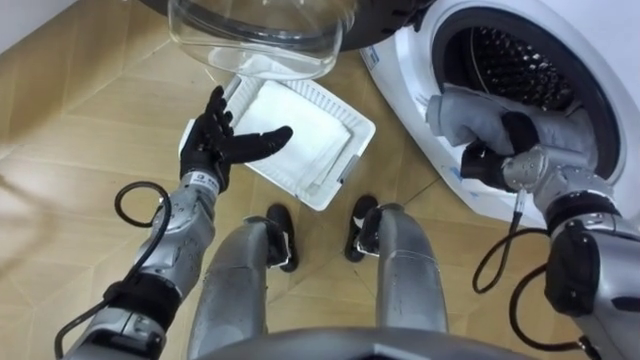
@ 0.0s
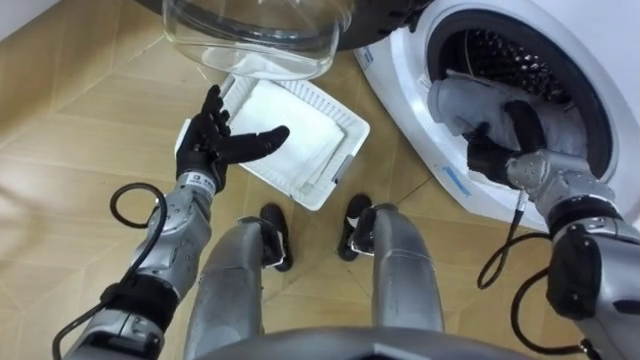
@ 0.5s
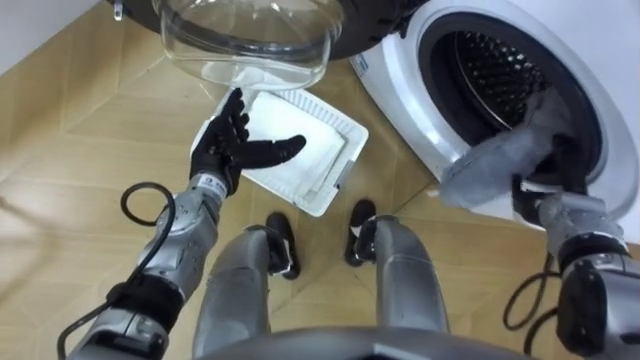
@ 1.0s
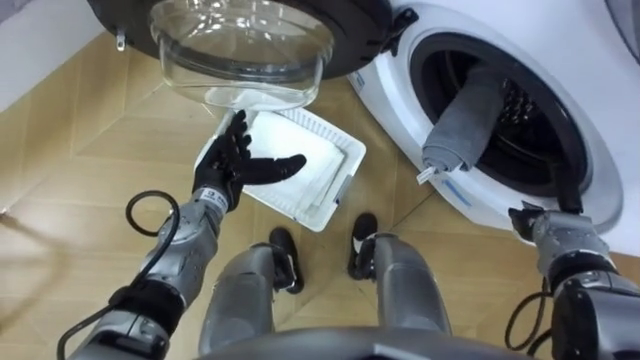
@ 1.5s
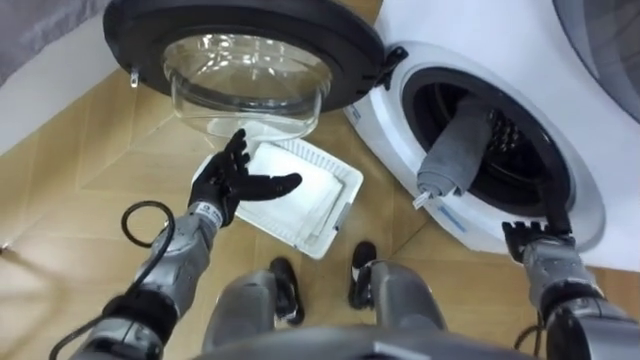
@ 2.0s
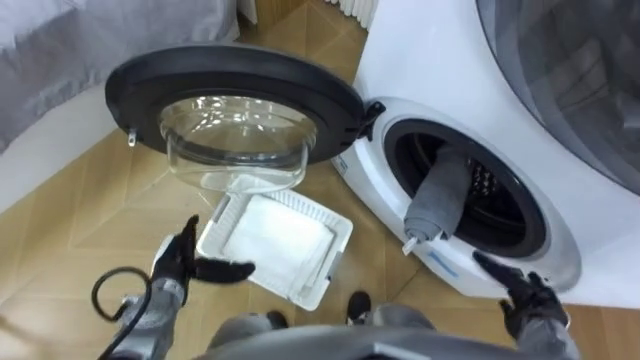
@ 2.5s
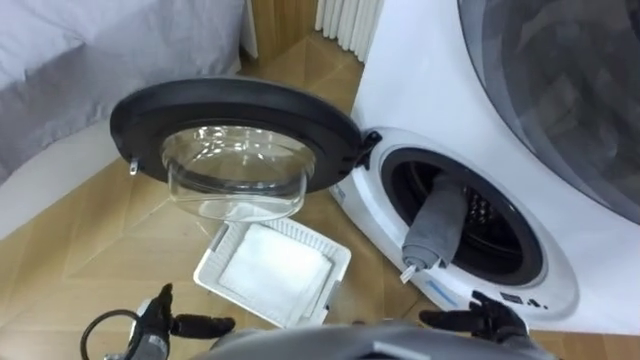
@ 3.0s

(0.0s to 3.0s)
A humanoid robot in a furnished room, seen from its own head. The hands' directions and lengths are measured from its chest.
Task of the whole recording: Take the towel from the basket and put it into the washing machine.
0.0s - 1.5s: The right hand heads to the right and backward, covering some 10 cm, and opens up.
1.5s - 3.0s: Both hands travel together backward, downward and to the left, approximately 20 cm.

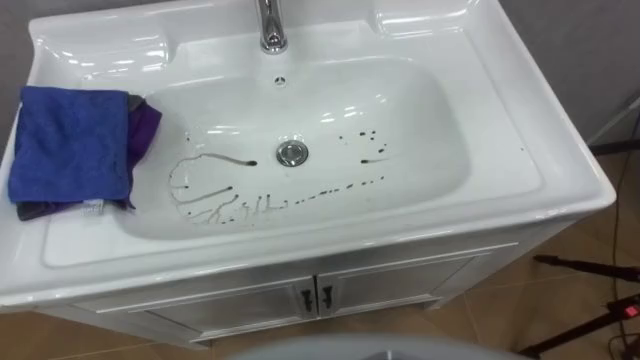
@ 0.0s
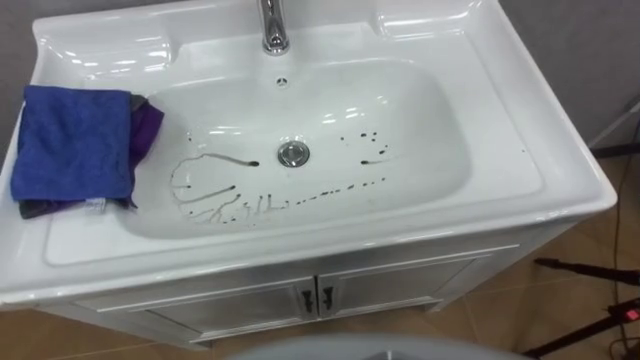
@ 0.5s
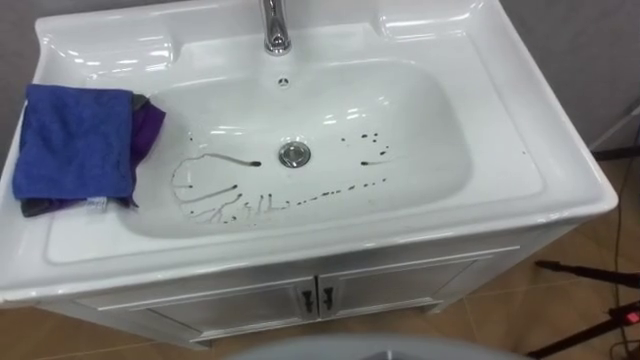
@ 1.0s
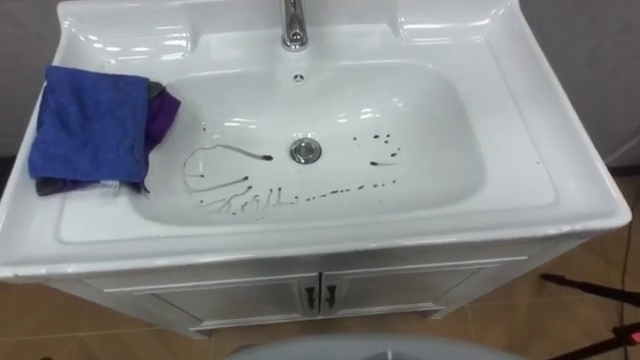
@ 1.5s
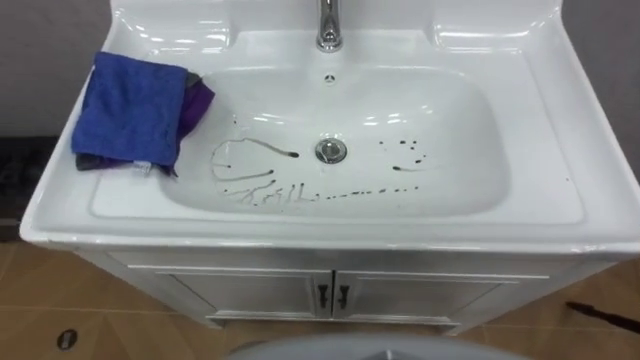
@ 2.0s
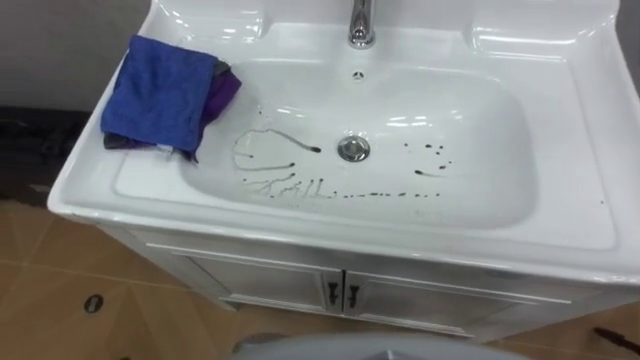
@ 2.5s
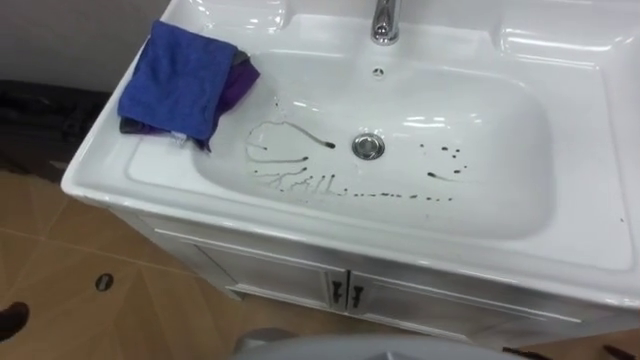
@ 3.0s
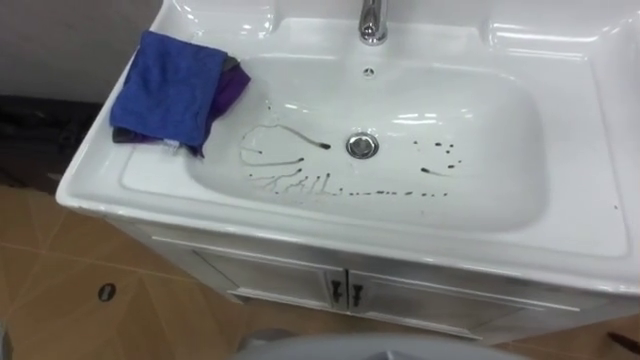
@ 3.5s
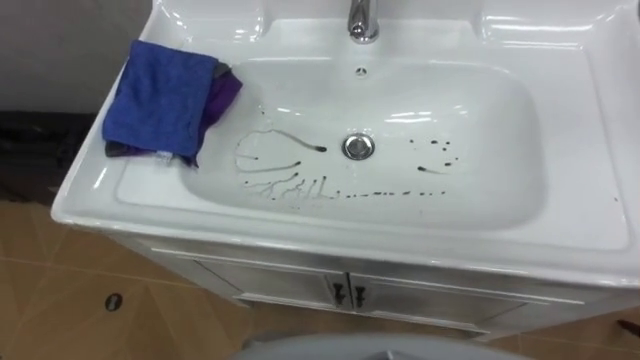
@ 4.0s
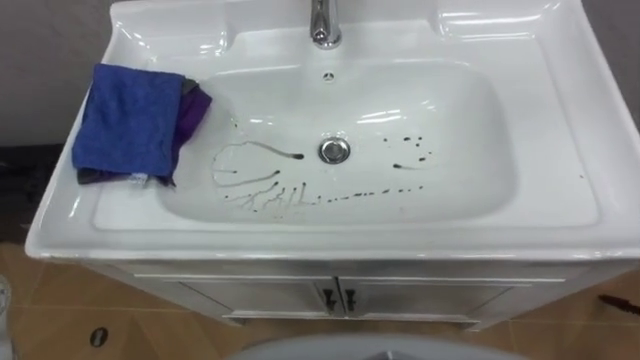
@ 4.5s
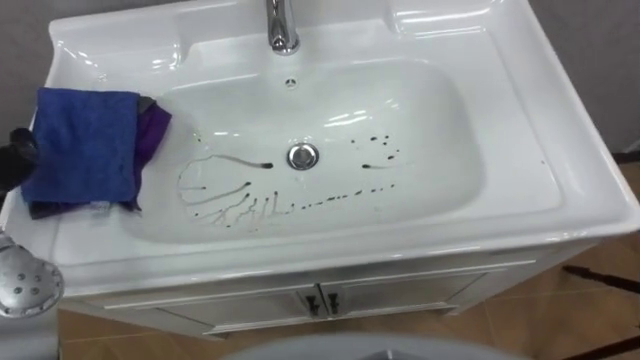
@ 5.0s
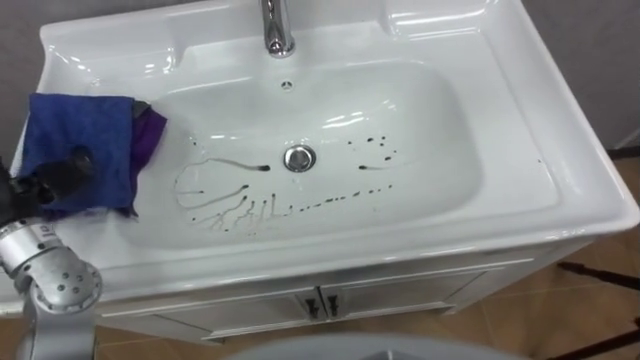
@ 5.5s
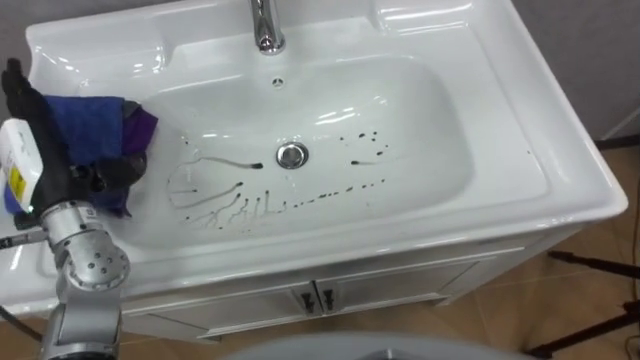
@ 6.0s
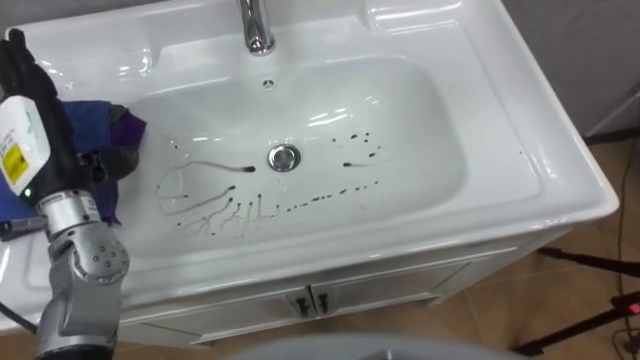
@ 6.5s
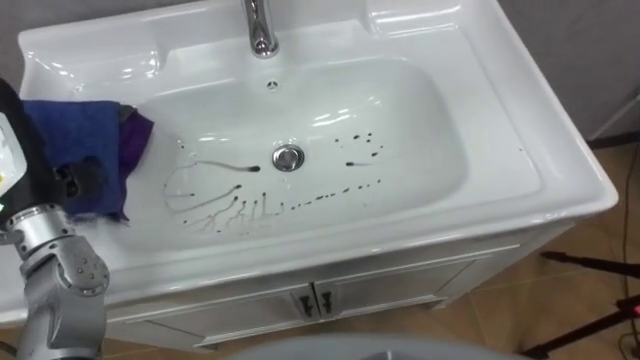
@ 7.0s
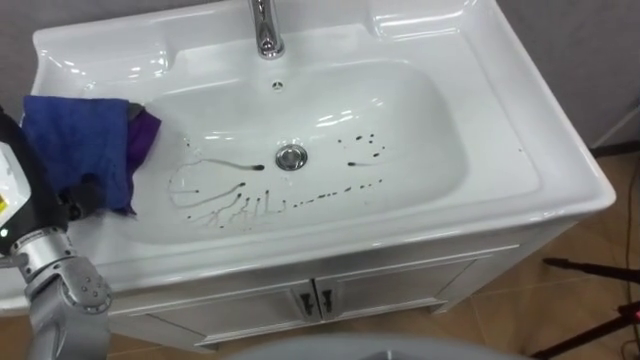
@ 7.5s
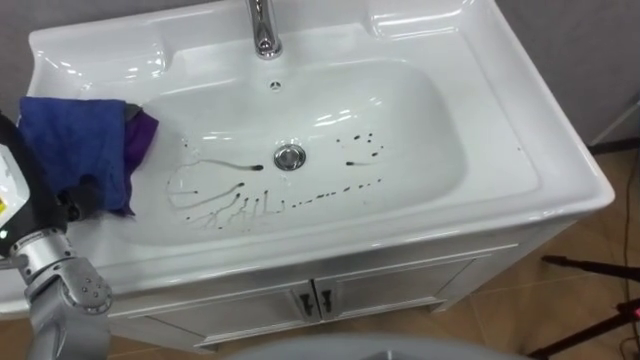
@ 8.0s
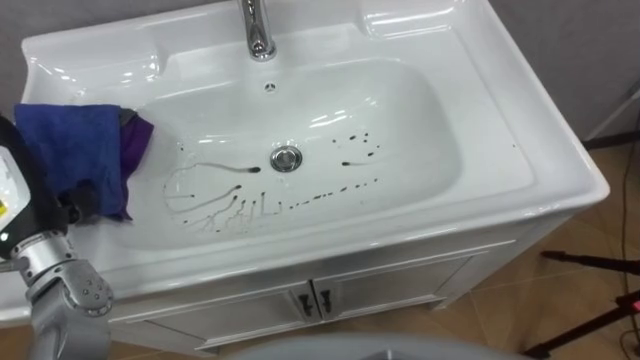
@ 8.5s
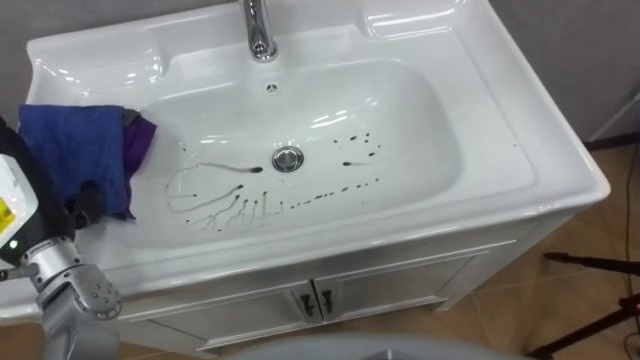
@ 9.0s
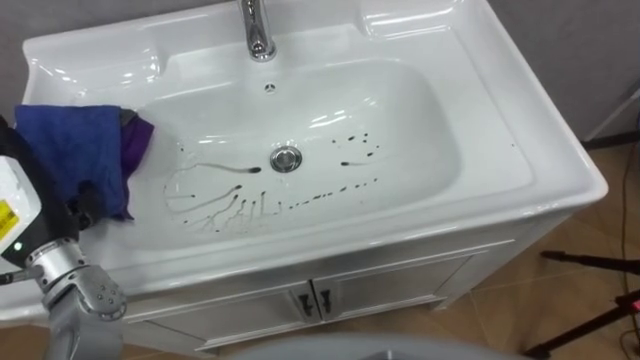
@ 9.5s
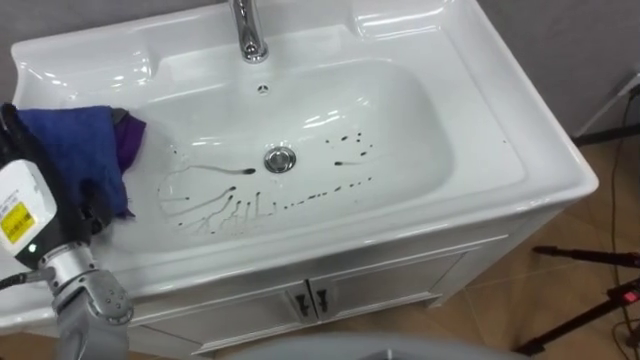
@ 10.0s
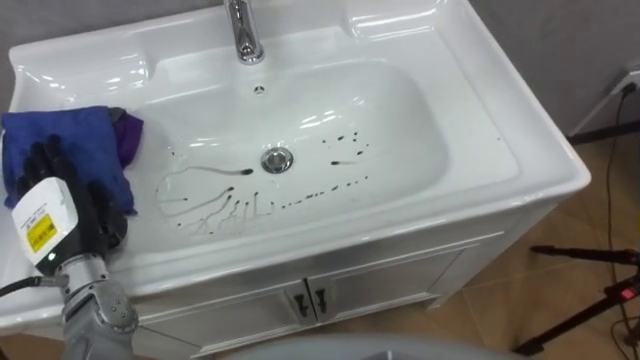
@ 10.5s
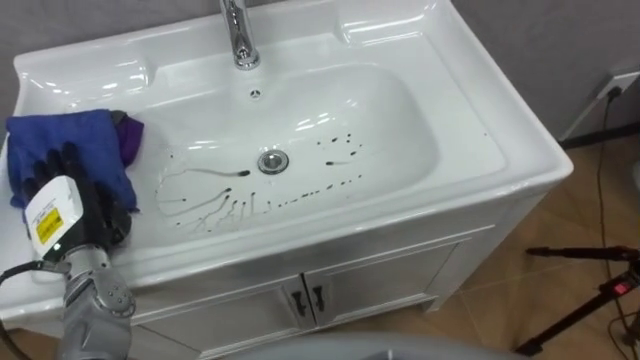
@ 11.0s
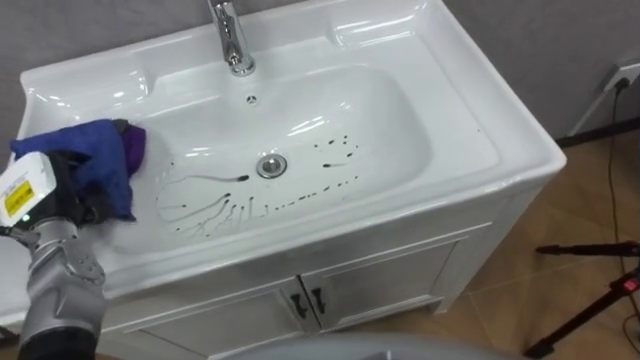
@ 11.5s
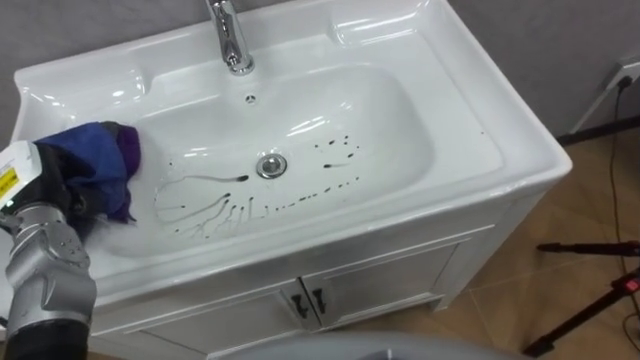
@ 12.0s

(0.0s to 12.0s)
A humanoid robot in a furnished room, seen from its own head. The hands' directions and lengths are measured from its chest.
Task of the whole recording: Use the cloth on the right to wipe away the black stain in the sink.
10.0s - 12.0s: The left hand shifts by some 5 cm, and closes.

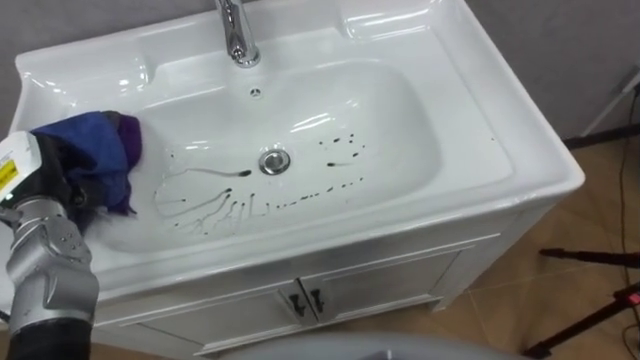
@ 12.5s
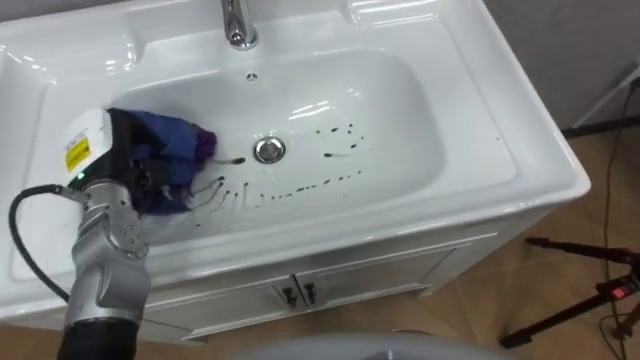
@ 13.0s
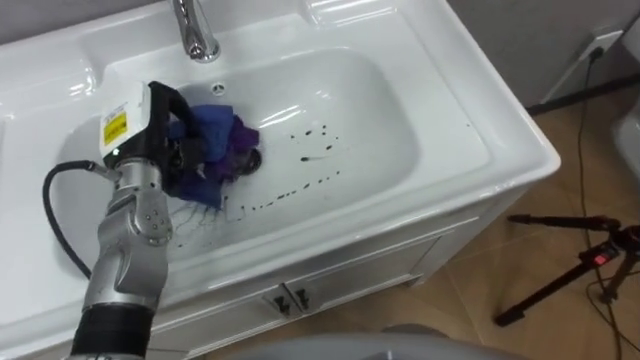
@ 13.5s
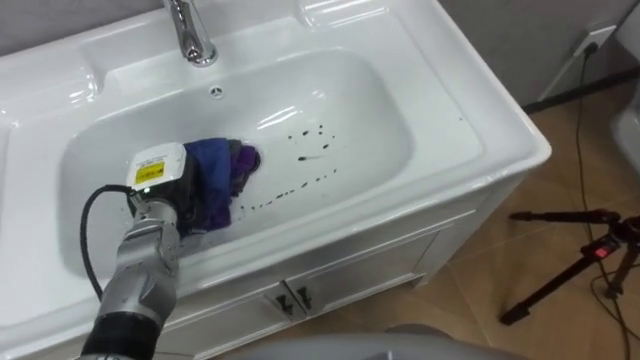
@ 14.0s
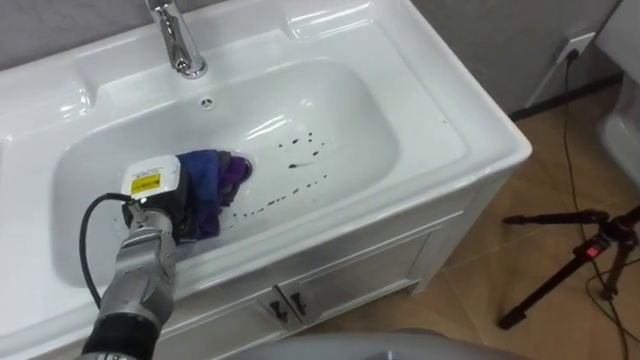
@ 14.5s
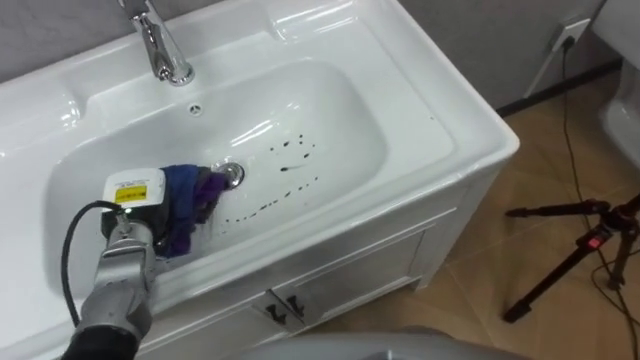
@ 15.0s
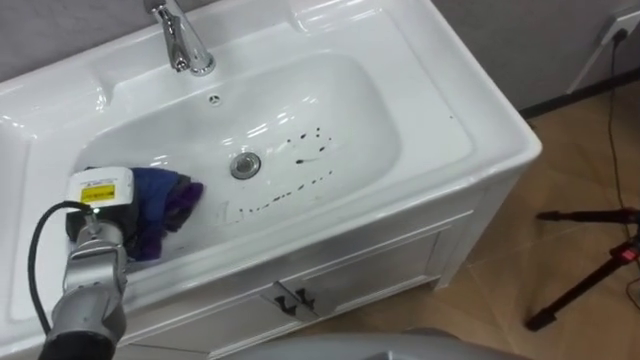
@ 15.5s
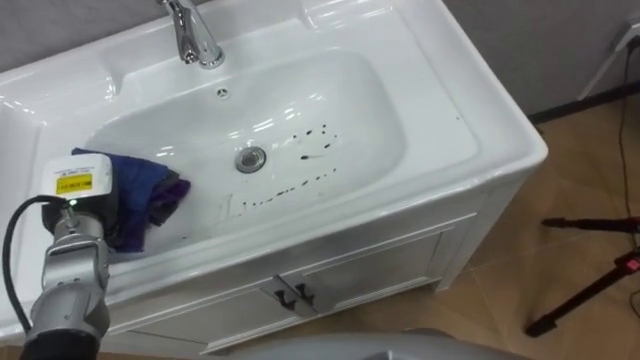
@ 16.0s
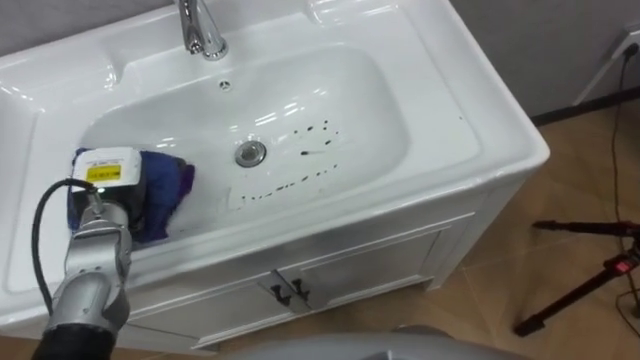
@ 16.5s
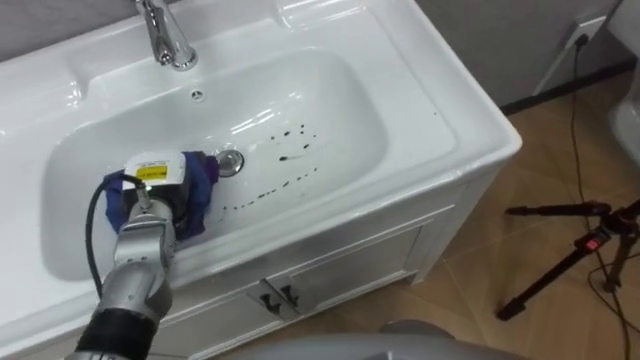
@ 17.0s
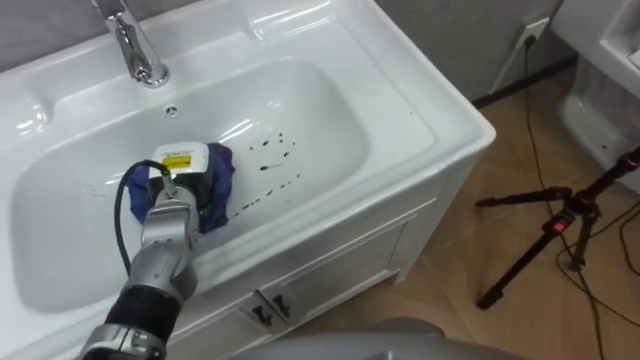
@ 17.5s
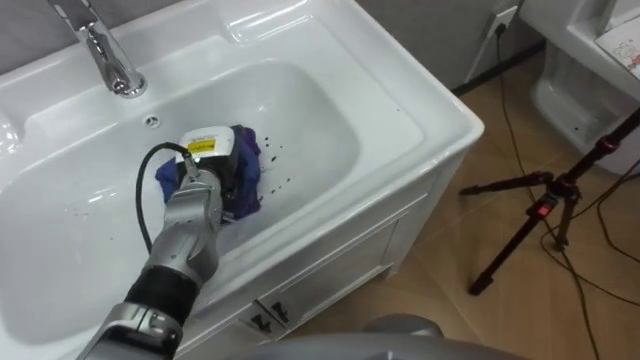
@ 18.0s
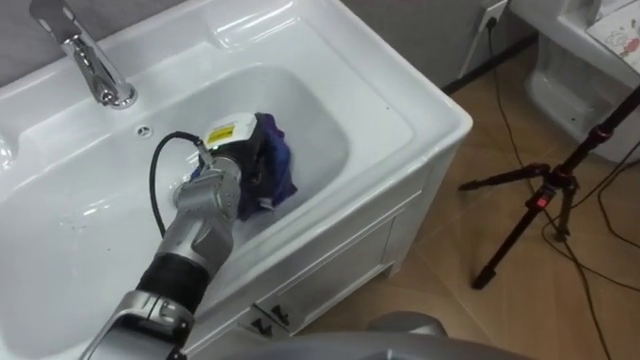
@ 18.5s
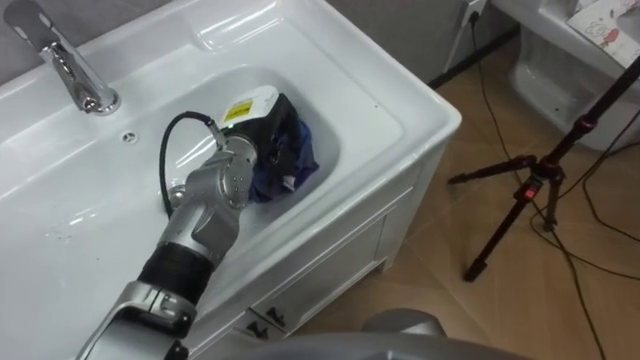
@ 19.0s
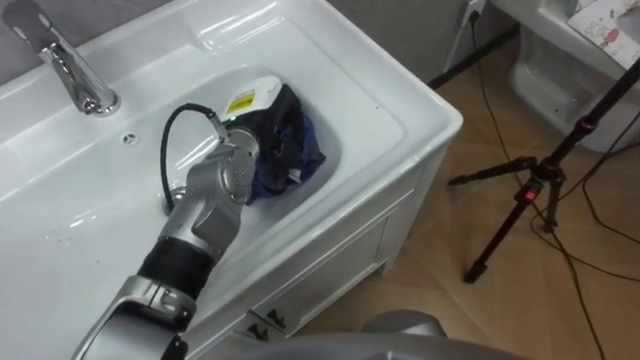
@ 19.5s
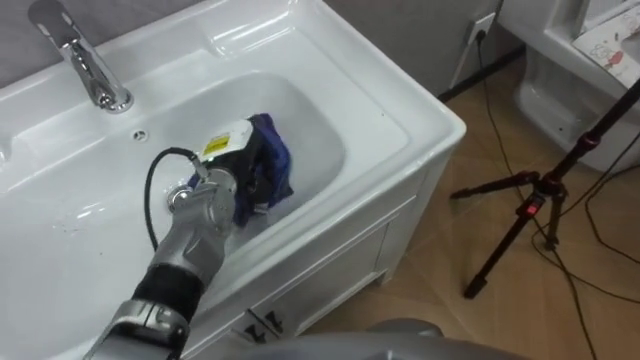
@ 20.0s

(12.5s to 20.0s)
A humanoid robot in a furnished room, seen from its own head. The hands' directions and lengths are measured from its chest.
Task of the whole recording: Use the cloth on the right to wipe away the black stain in the sink.
12.5s - 14.5s: The left hand heads to the right and downward, covering some 15 cm.
14.5s - 16.5s: The left hand moves to the left, approximately 5 cm.
16.5s - 18.0s: The left hand travels to the right by approximately 15 cm.
